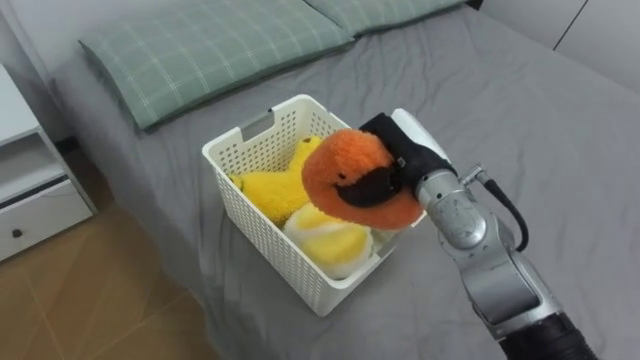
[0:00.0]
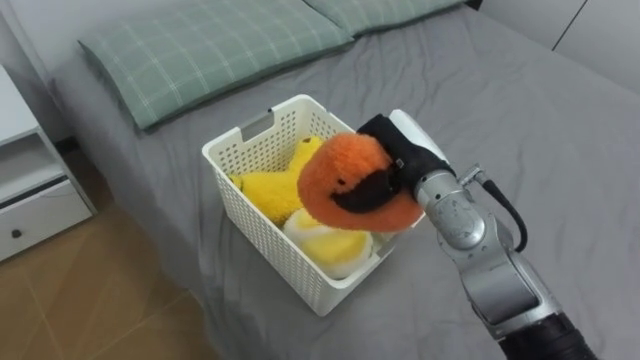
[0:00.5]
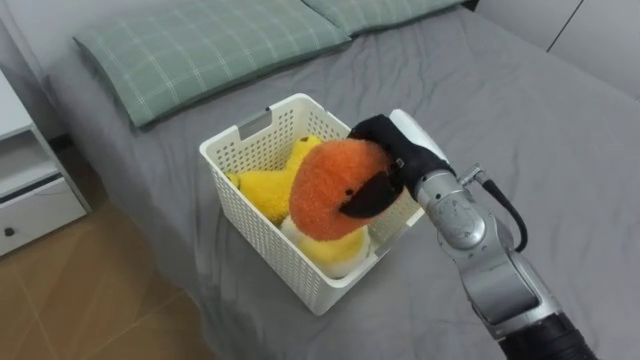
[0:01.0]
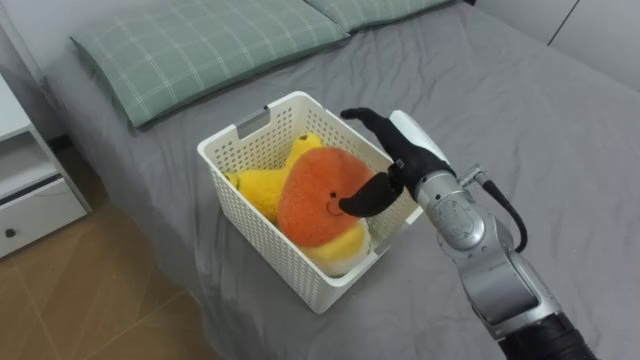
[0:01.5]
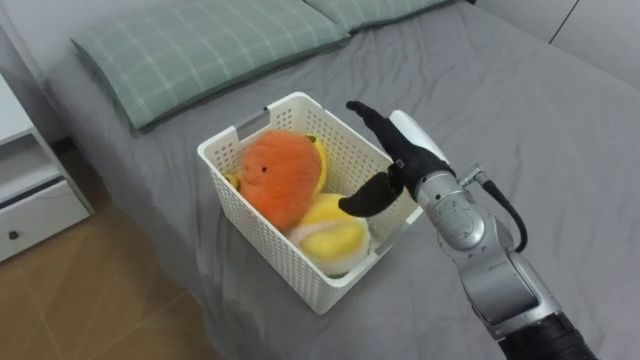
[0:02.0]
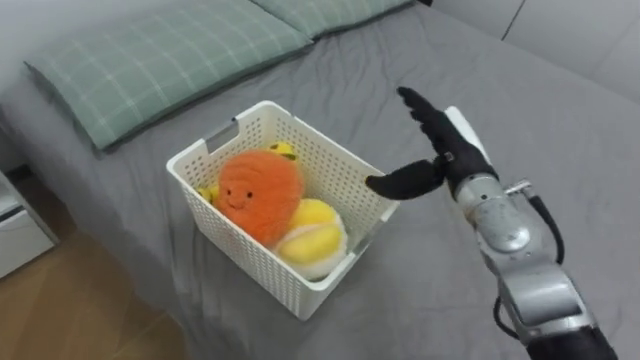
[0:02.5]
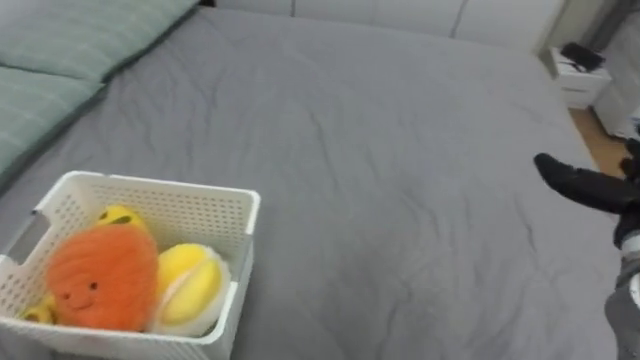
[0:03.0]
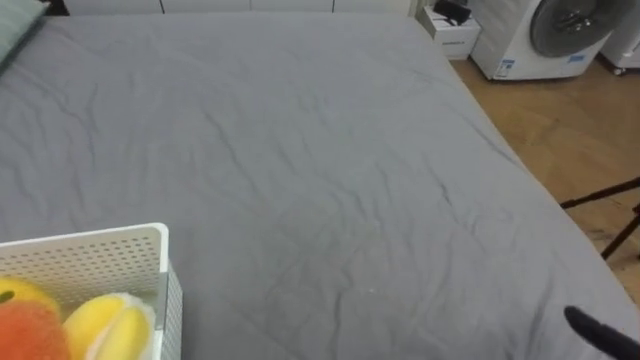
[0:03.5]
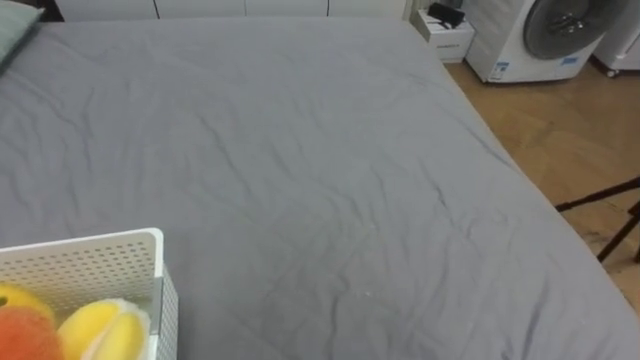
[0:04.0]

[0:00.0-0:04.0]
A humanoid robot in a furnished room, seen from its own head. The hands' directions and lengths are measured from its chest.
Task of the whole recording: Put the toys on the bed into the basket on the left.
0:00.0 to 0:02.0: The right hand opens up.

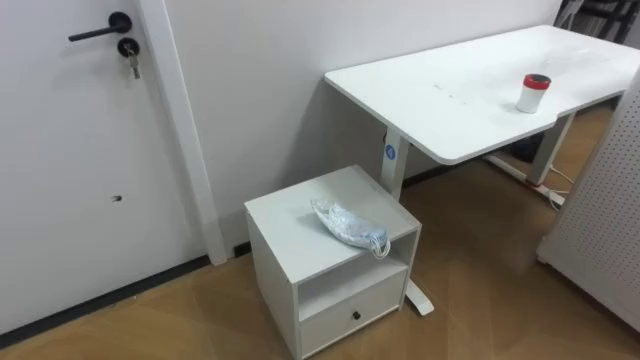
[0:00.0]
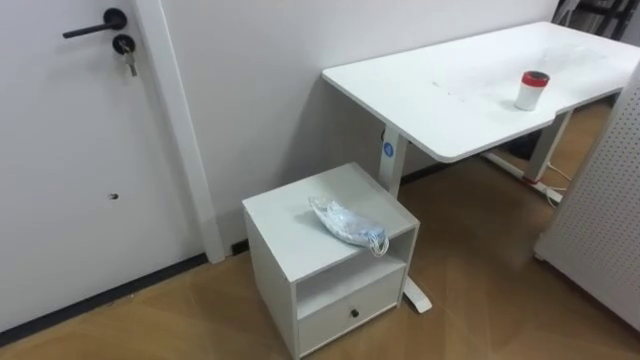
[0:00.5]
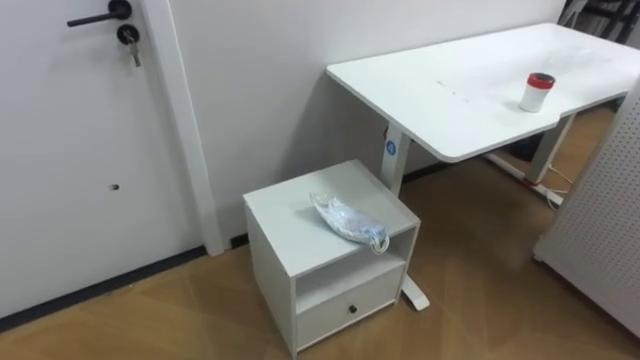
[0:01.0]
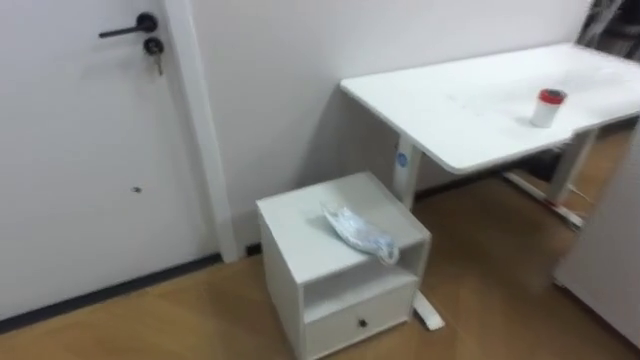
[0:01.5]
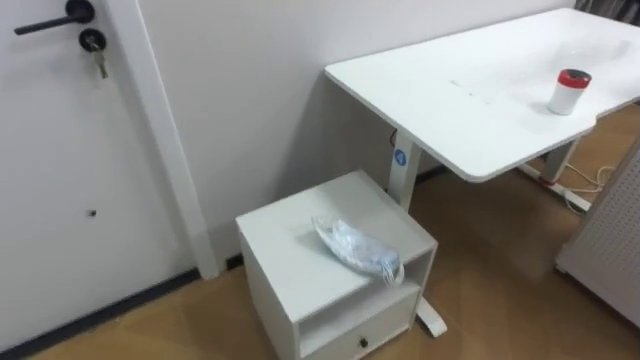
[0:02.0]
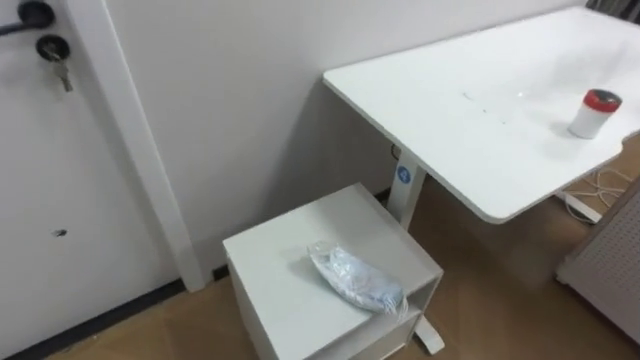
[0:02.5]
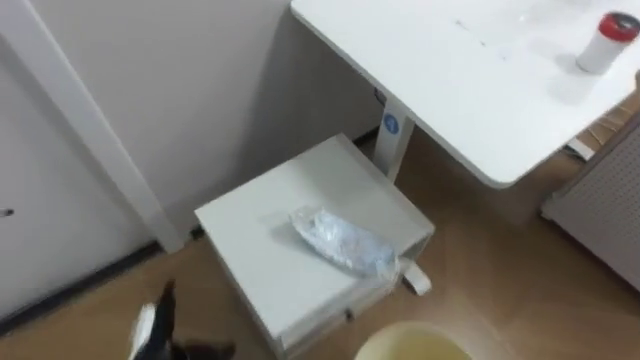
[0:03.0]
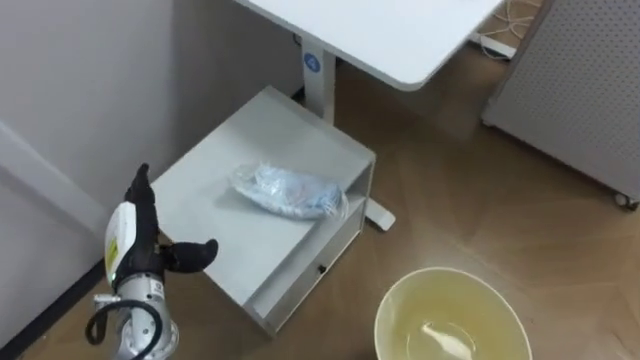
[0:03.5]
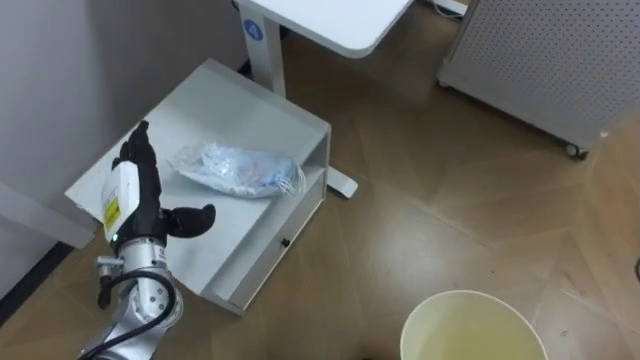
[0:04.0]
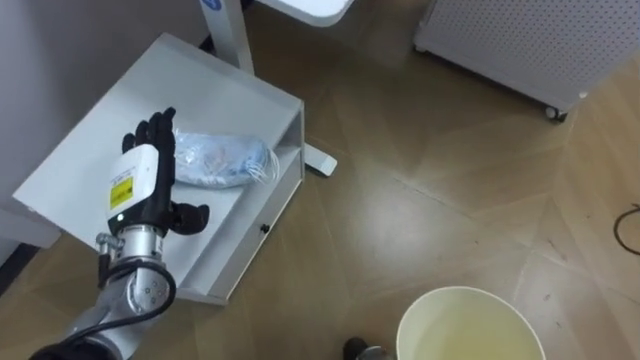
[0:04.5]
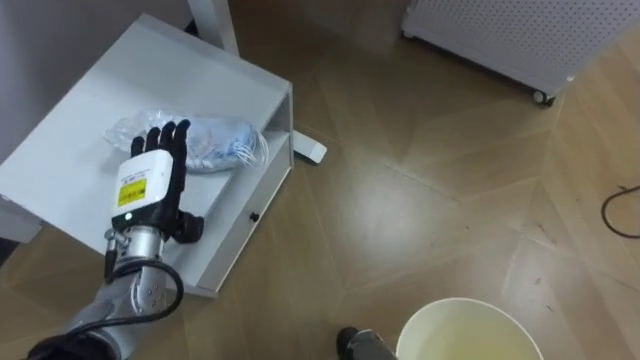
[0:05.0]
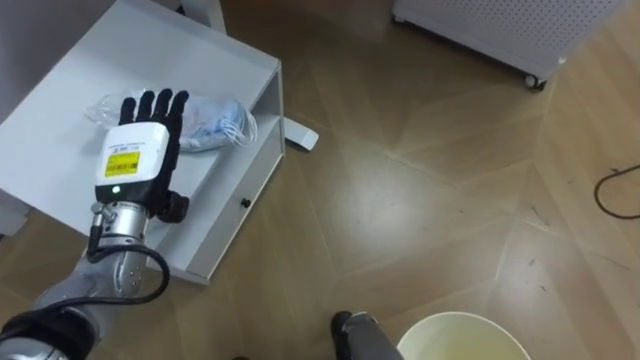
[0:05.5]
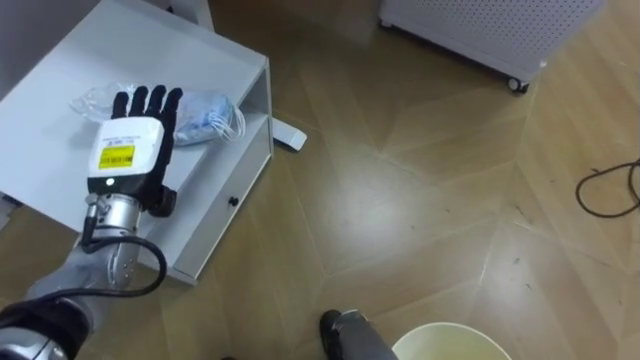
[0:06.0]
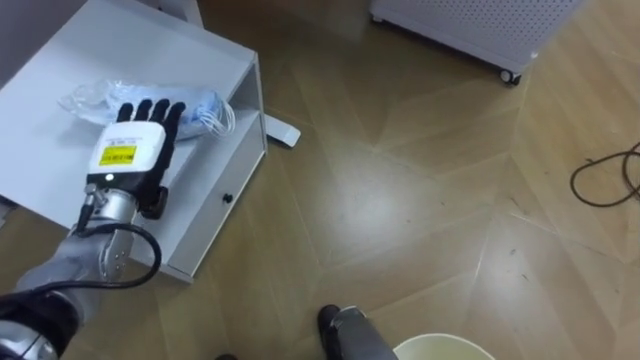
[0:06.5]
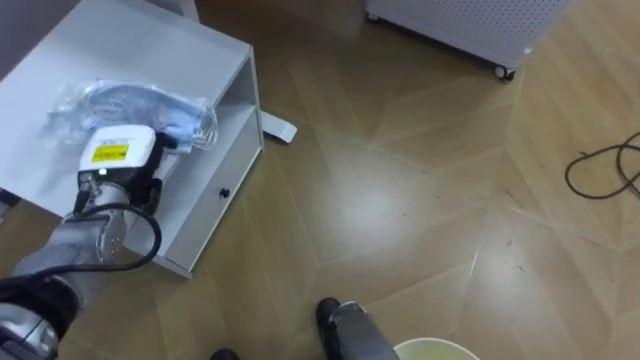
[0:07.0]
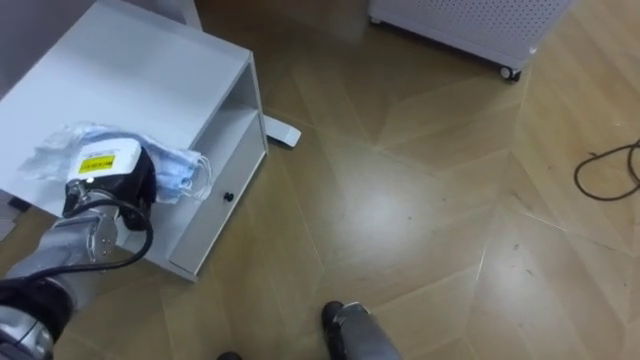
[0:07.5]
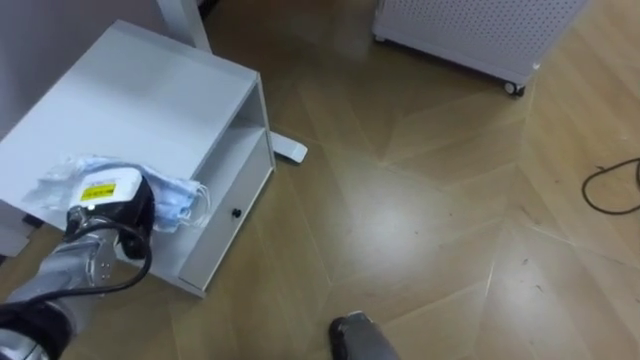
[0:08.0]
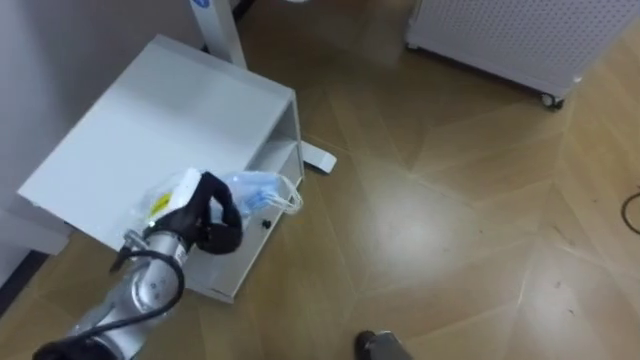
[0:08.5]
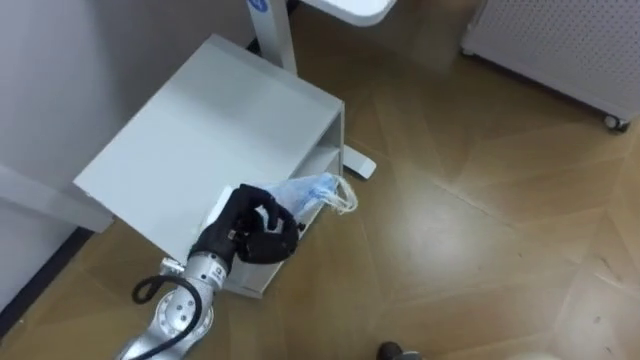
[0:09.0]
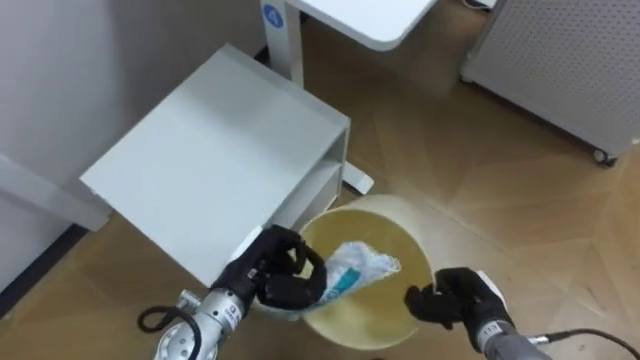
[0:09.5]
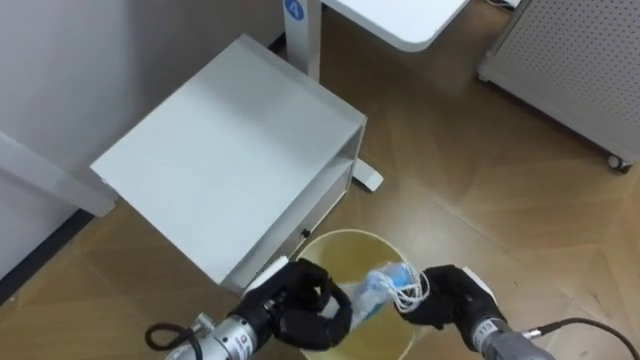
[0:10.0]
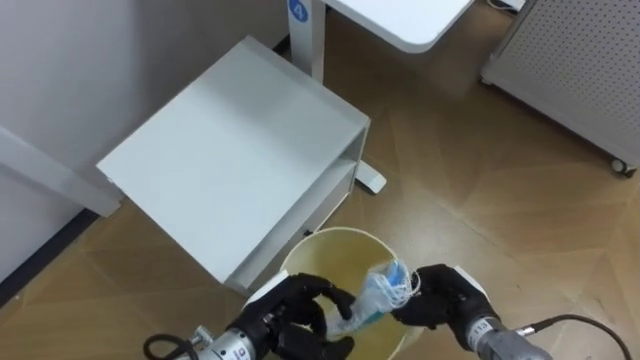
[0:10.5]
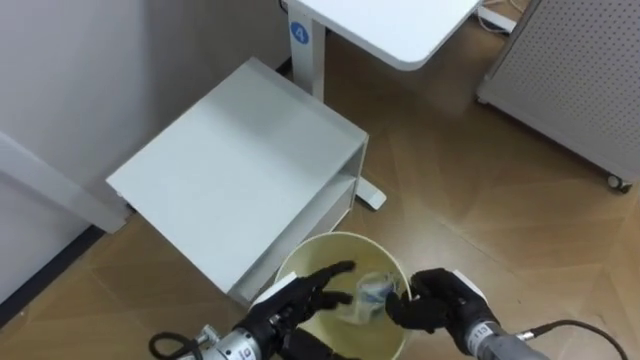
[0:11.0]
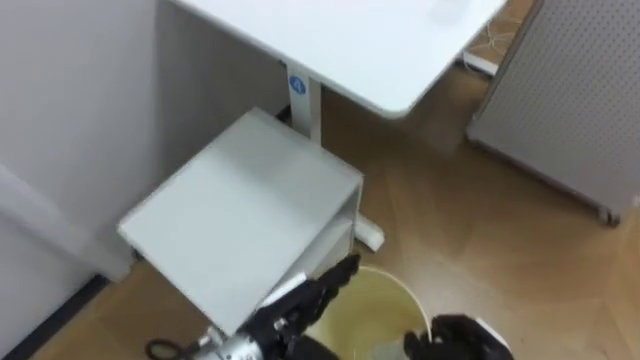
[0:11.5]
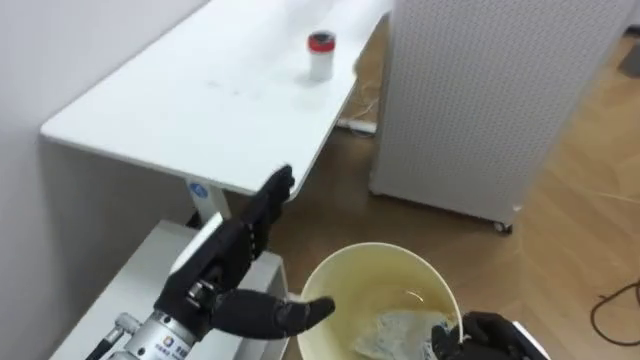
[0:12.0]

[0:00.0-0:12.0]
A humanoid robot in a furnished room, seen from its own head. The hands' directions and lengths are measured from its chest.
Task of the whole recording: Pick up the light blue package, the candy box, and the dark blue package separately, and put them into the trash can held in your right hand.
0:04.0 to 0:06.0: The left hand moves roughly 5 cm.
0:06.0 to 0:08.0: The left hand goes about 5 cm downward, and closes up.
0:08.0 to 0:10.0: The left hand is displaced to the right and backward by some 25 cm.
0:10.0 to 0:12.0: The robot faces some 20 degrees further to its right. The left hand moves upward and to the left, roughly 10 cm, and opens its fingers.

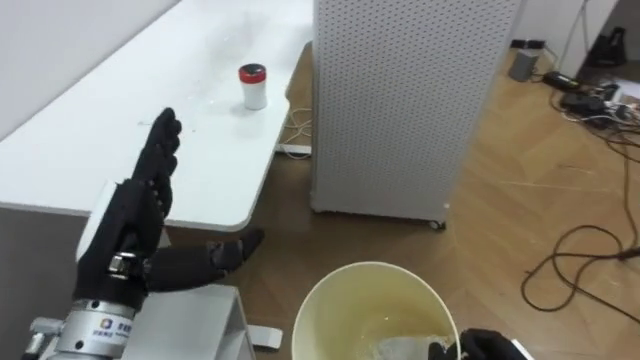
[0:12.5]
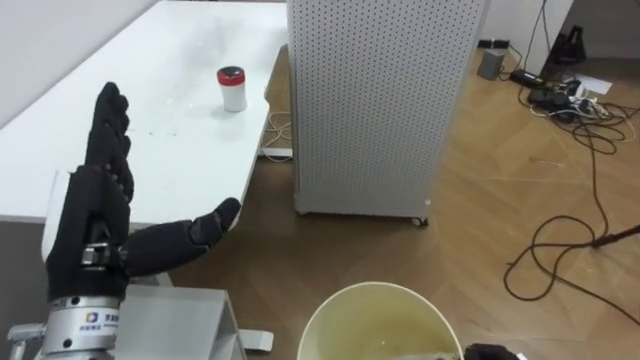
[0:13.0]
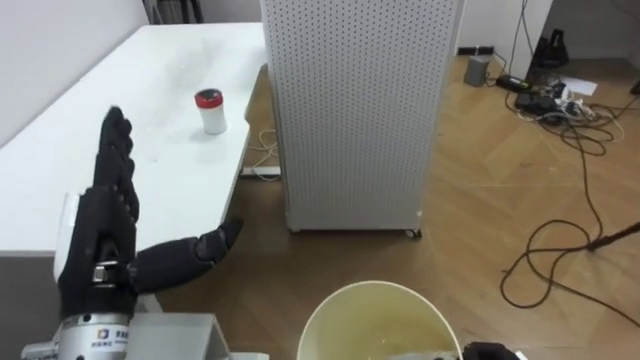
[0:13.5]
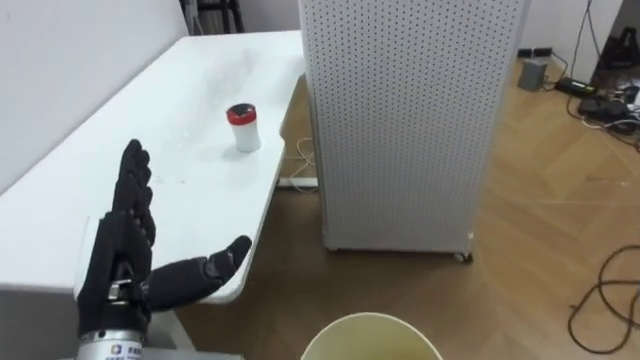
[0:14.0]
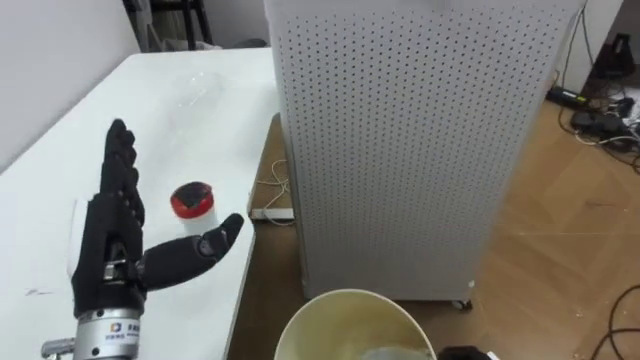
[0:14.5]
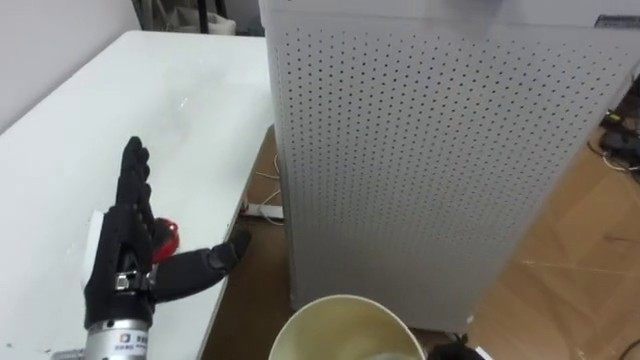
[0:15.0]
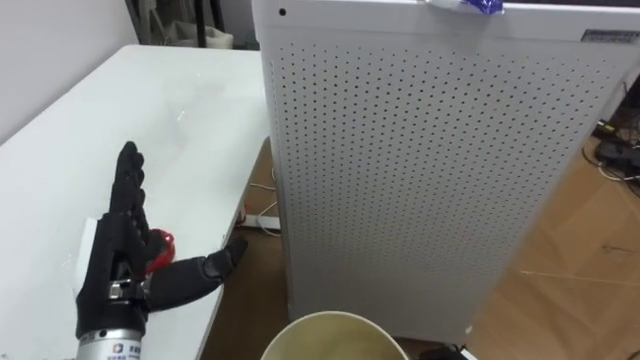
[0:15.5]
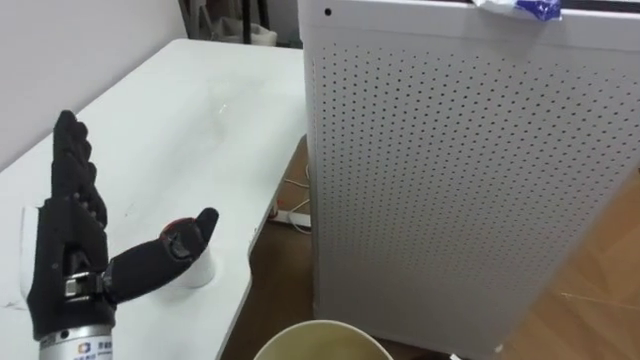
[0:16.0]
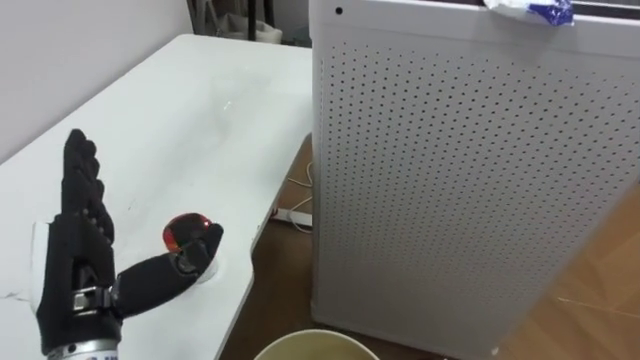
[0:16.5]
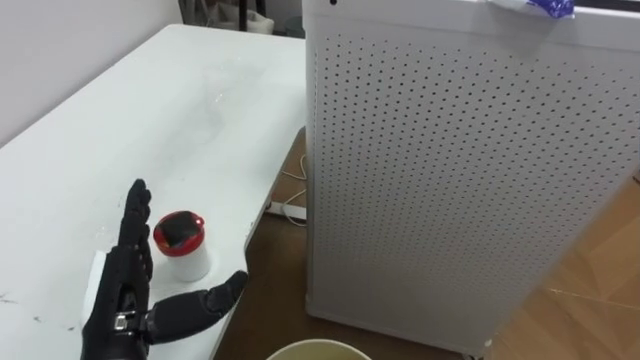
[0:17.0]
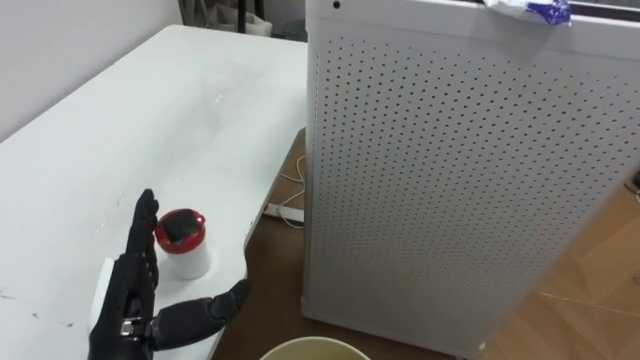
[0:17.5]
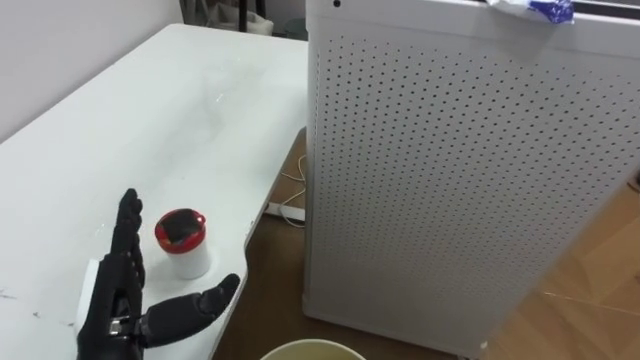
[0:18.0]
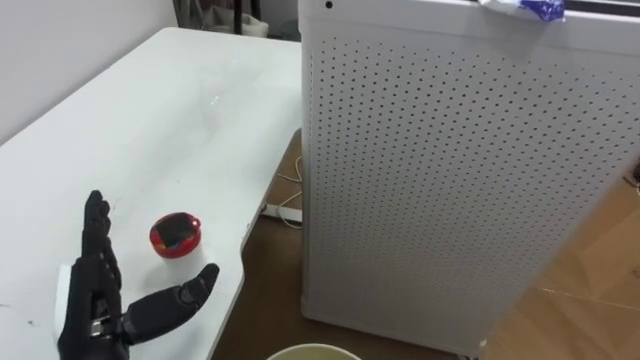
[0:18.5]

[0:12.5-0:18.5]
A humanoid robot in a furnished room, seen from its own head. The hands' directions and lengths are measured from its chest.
Task of the whole recording: Pick up the light blue package, the candy box, and the dark blue package separately, and put them into the trash can held in your right hand.
0:16.5 to 0:18.5: The left hand goes approximately 5 cm downward.
